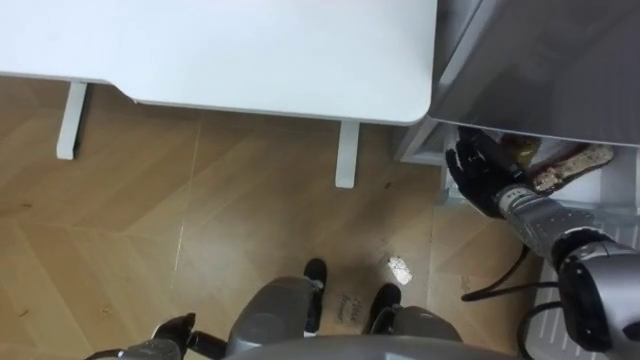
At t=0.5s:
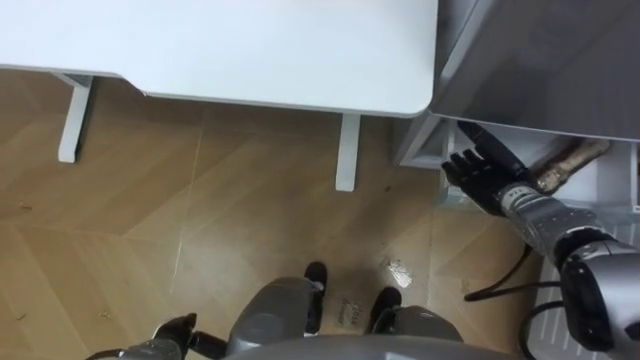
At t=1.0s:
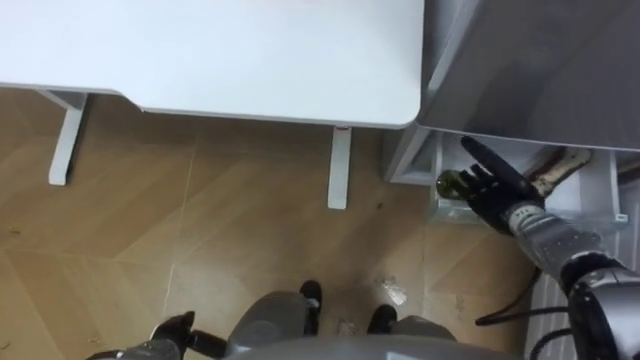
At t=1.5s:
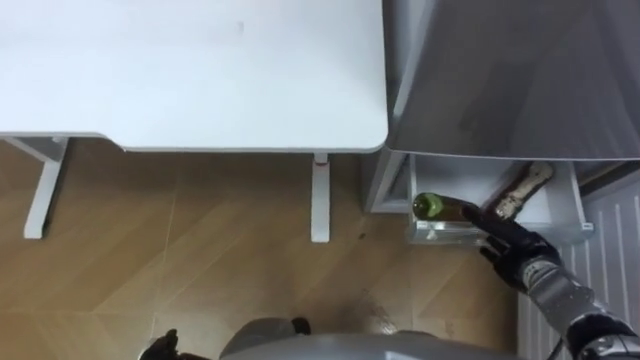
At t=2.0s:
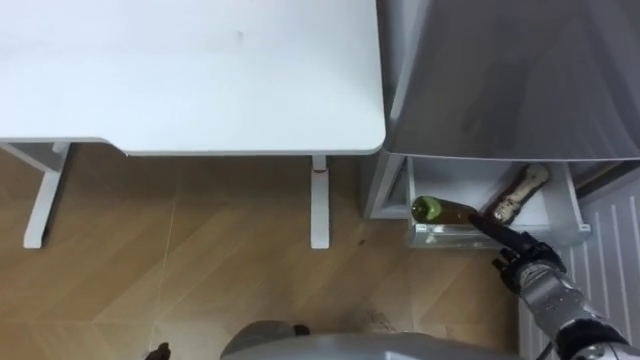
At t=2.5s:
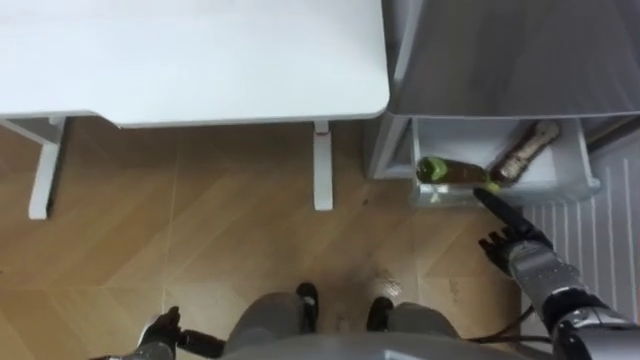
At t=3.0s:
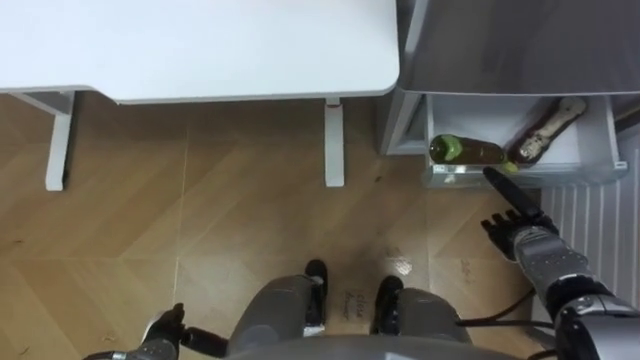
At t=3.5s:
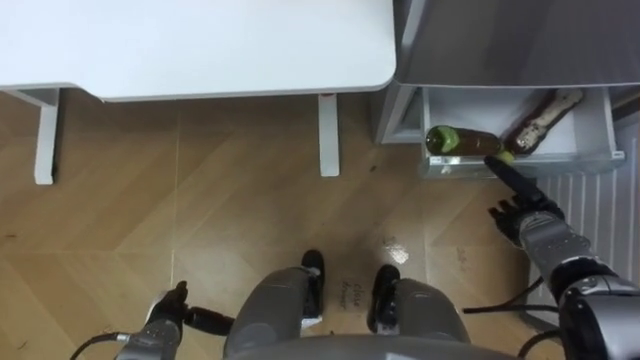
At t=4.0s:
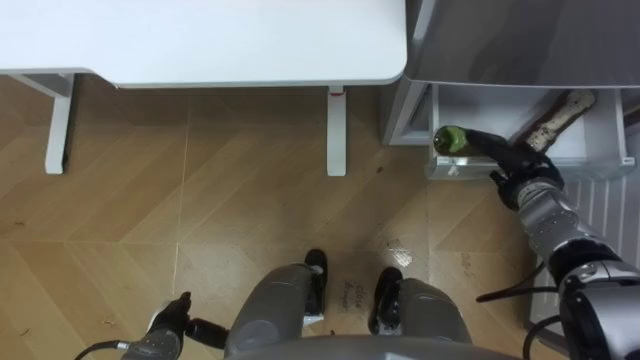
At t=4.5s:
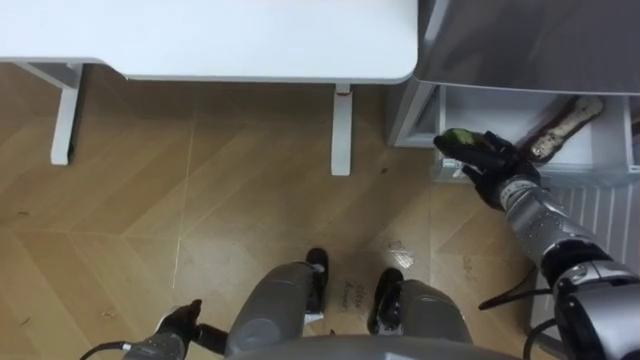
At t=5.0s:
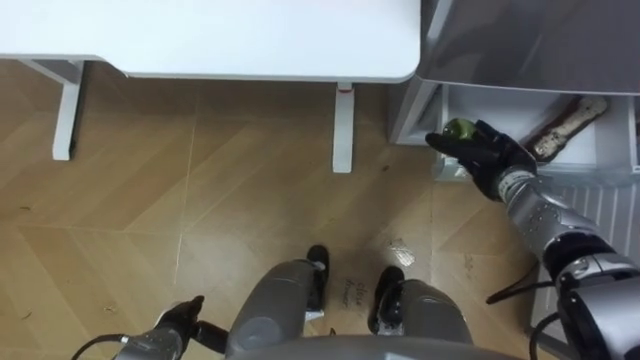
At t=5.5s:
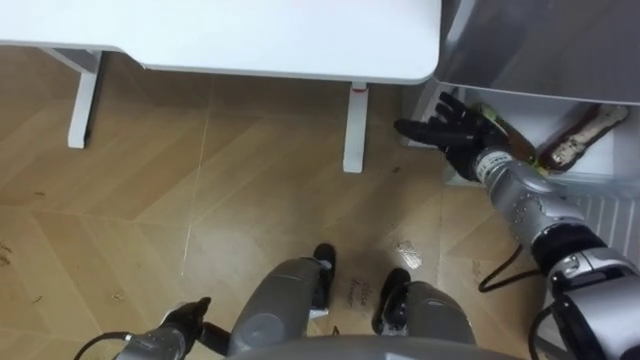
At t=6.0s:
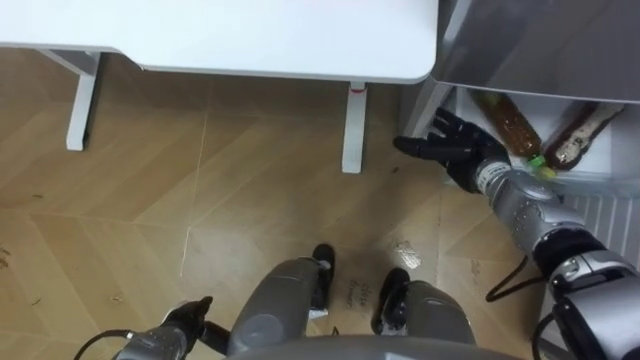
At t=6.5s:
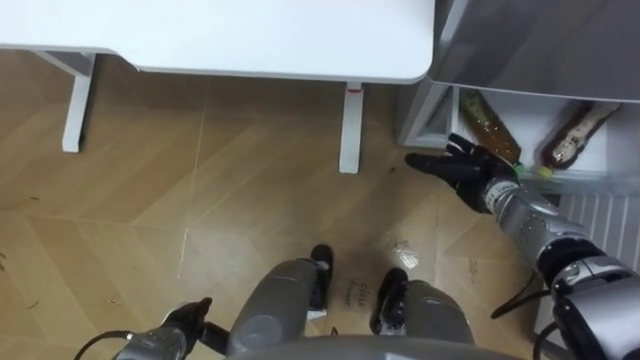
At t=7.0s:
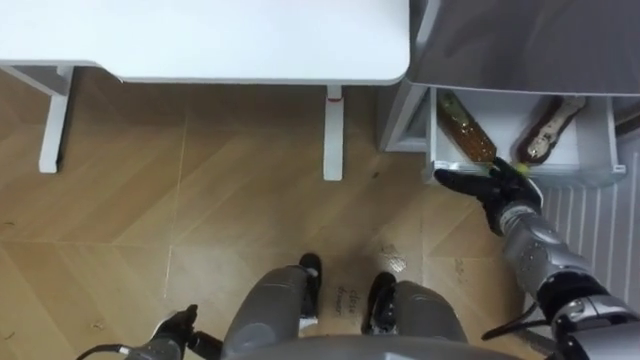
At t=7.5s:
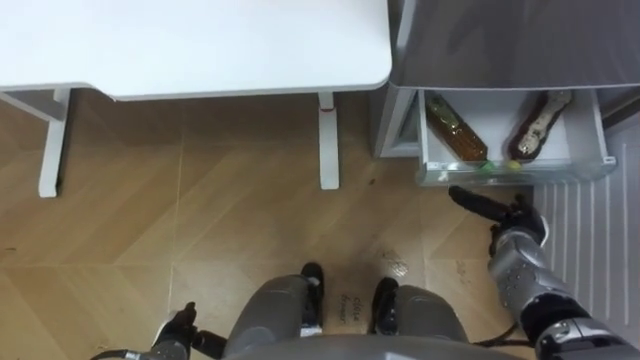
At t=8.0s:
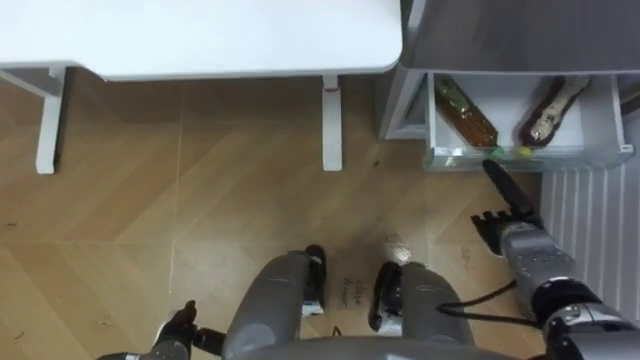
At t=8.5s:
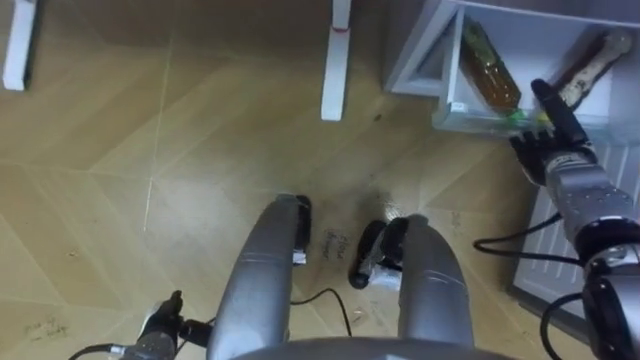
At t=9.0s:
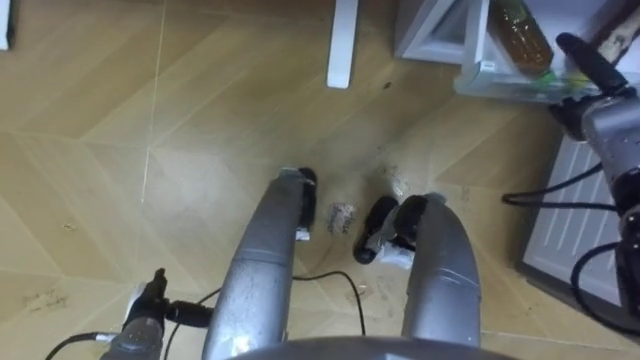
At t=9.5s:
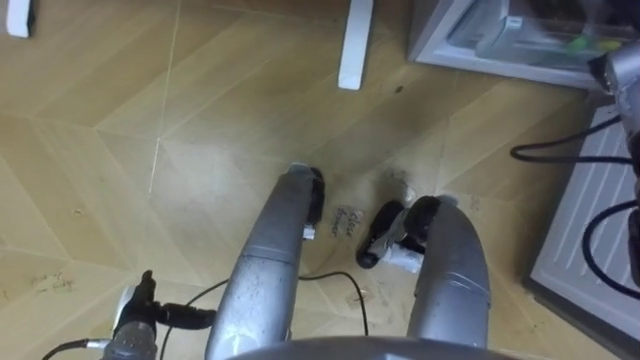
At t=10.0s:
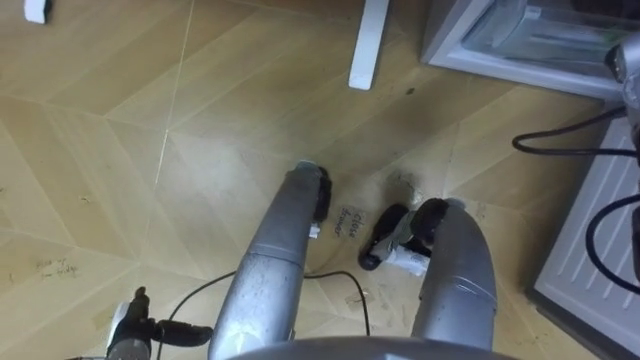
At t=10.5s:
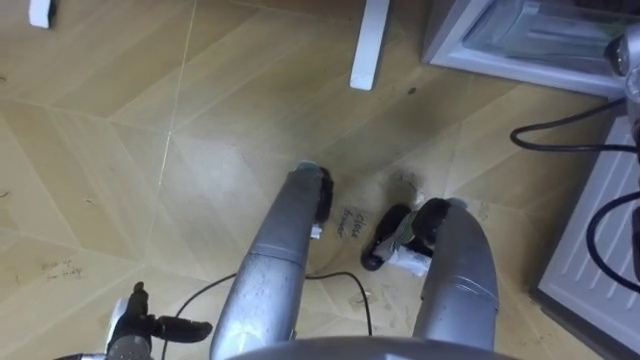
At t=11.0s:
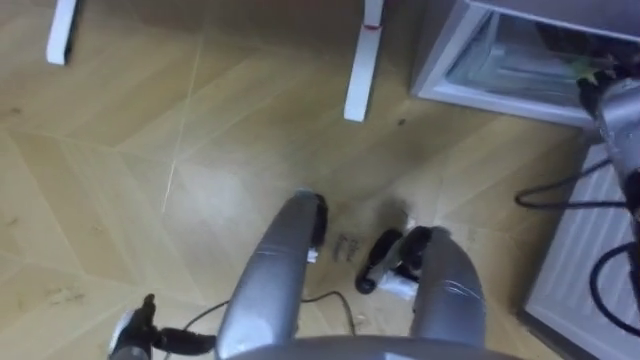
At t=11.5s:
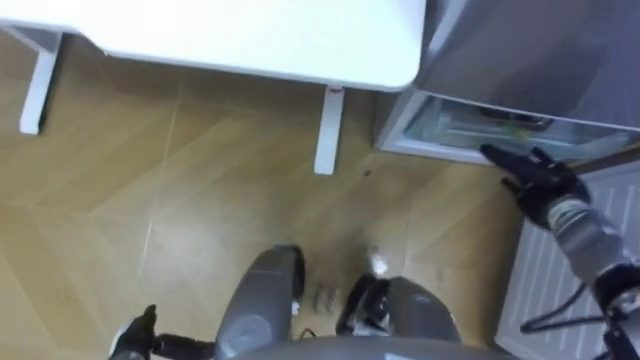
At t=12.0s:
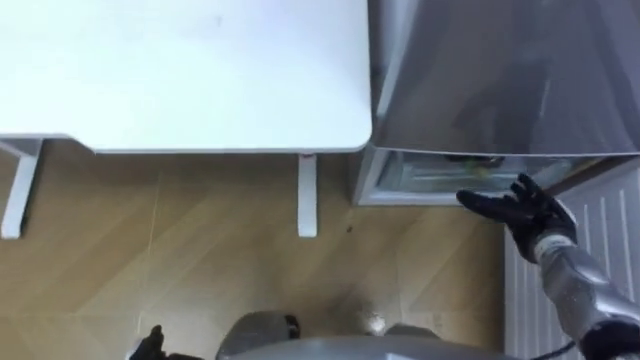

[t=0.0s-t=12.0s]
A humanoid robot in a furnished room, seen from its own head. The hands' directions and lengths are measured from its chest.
Task of the whole recording: Place the drink on the table on the bottom shelf of the refrigerator, then close the drawer and the refrigerator door.
t=0.0s to t=2.0s: The right hand moves backward and to the right, some 15 cm, and opens its fingers.
t=2.0s to t=4.0s: The right hand shifts approximately 15 cm forward and upward.
t=4.0s to t=6.0s: The right hand heads to the left, covering roughly 10 cm.
t=6.0s to t=8.0s: The right hand is displaced backward, downward and to the right by roughly 15 cm.
t=8.0s to t=10.0s: The left hand moves to the left, about 5 cm; the right hand goes about 30 cm upward, forward and to the right.
t=10.0s to t=12.0s: The right hand is displaced downward and backward by roughly 25 cm.

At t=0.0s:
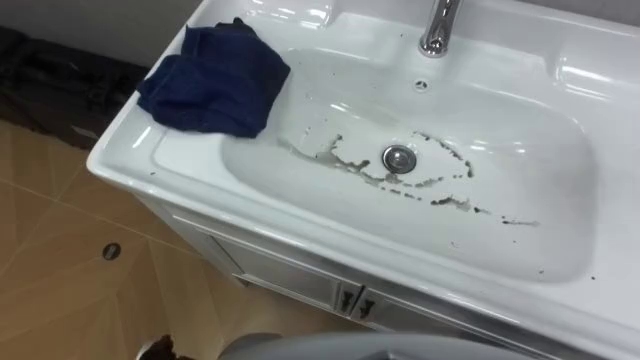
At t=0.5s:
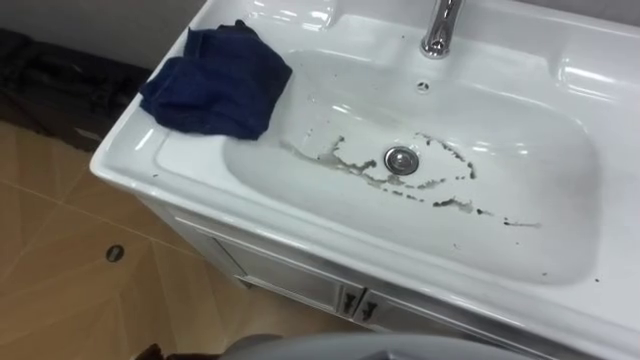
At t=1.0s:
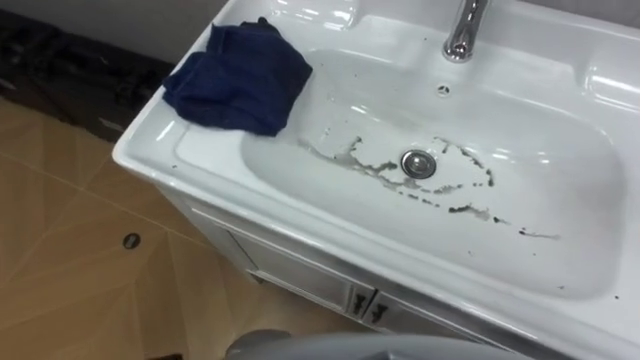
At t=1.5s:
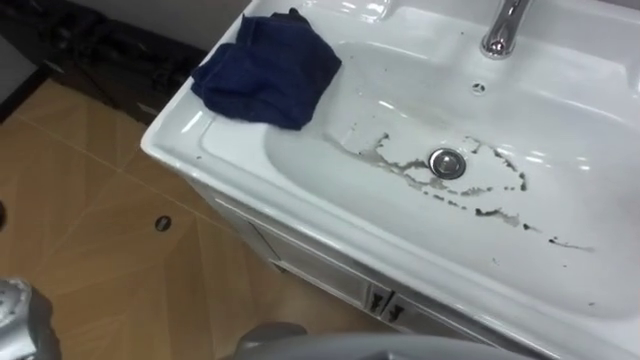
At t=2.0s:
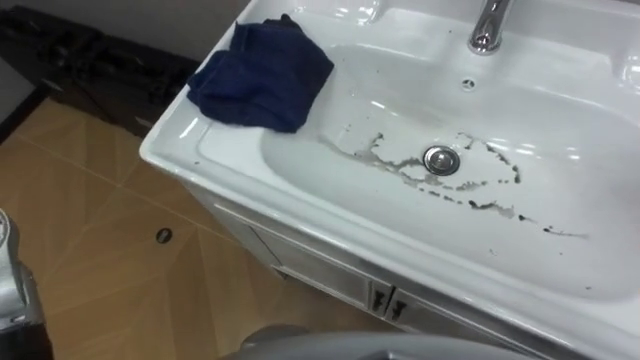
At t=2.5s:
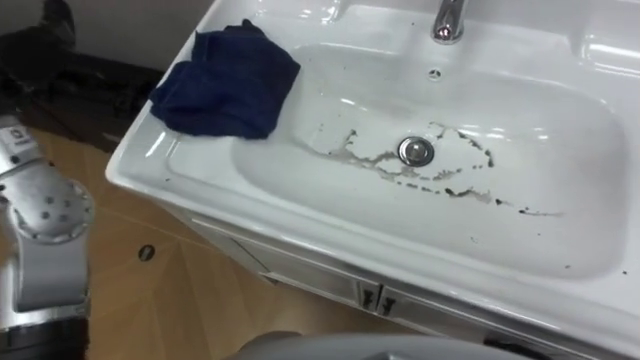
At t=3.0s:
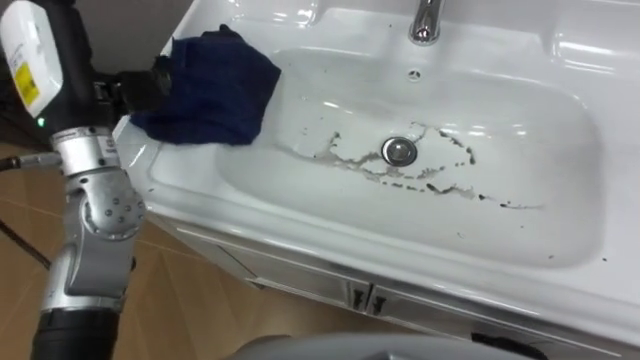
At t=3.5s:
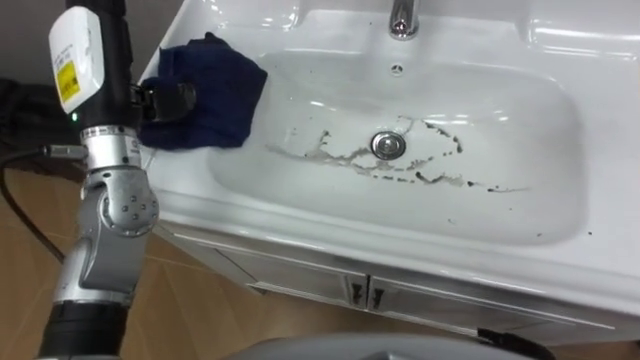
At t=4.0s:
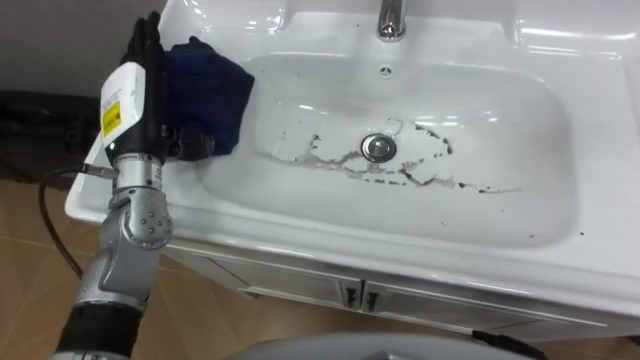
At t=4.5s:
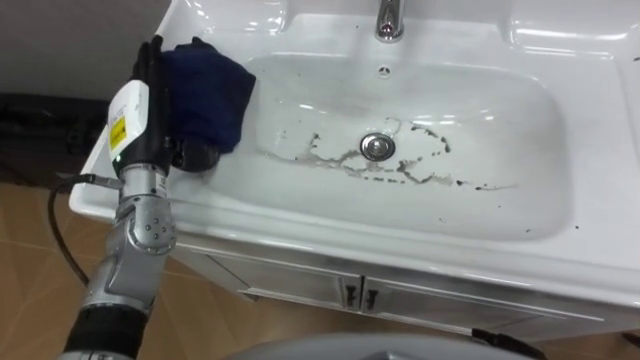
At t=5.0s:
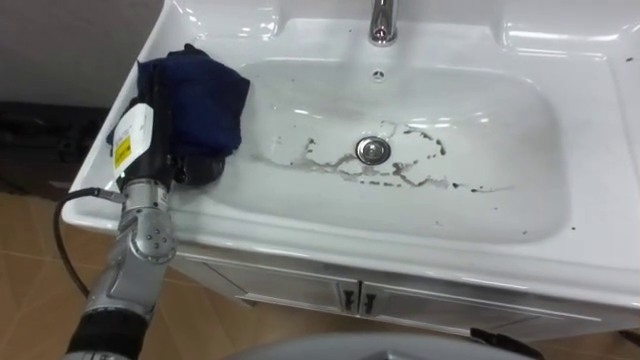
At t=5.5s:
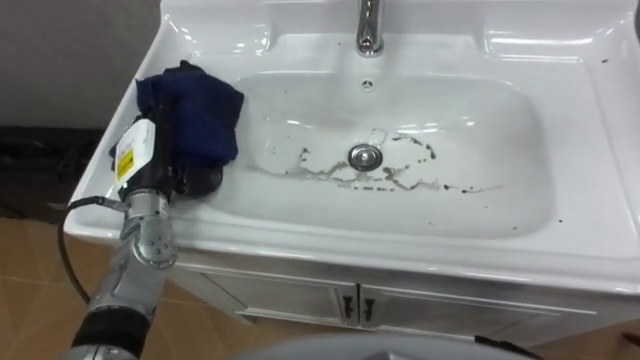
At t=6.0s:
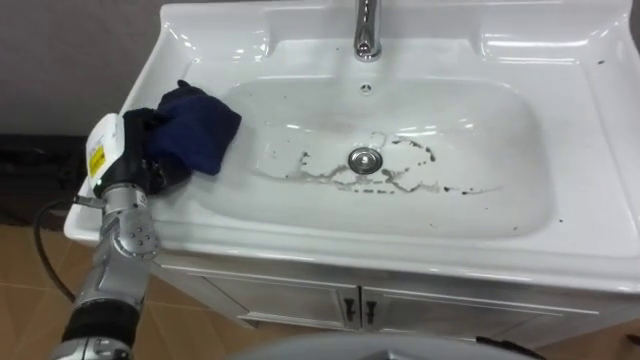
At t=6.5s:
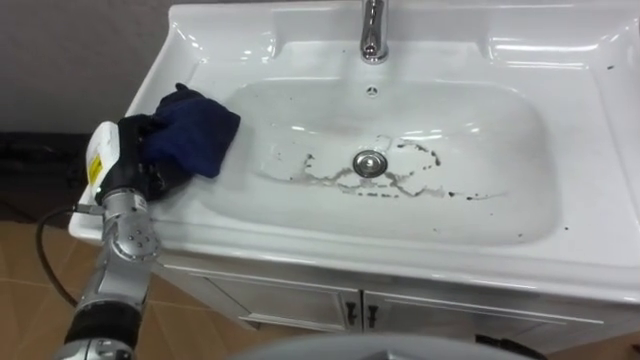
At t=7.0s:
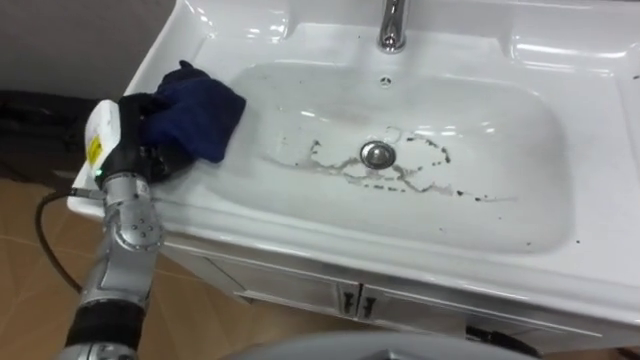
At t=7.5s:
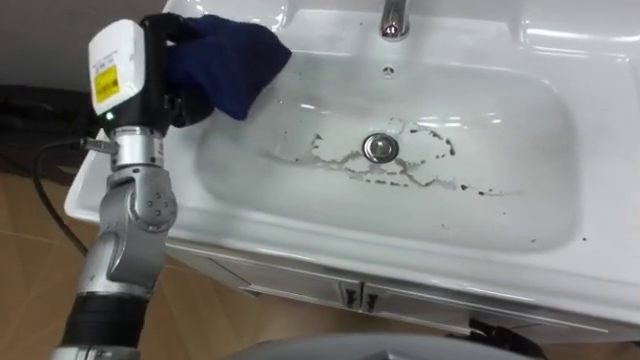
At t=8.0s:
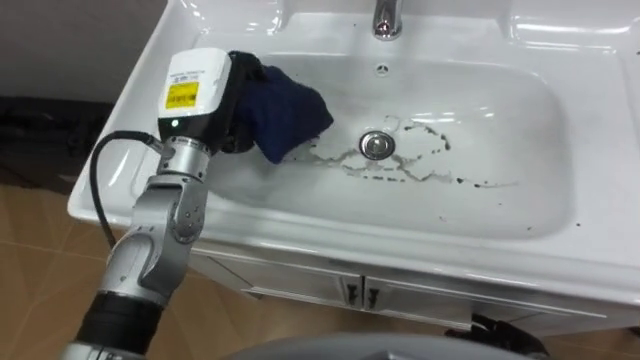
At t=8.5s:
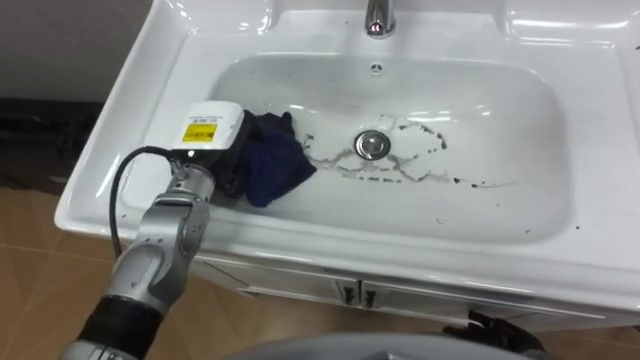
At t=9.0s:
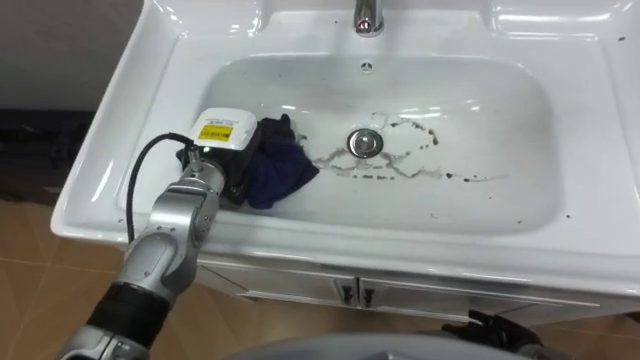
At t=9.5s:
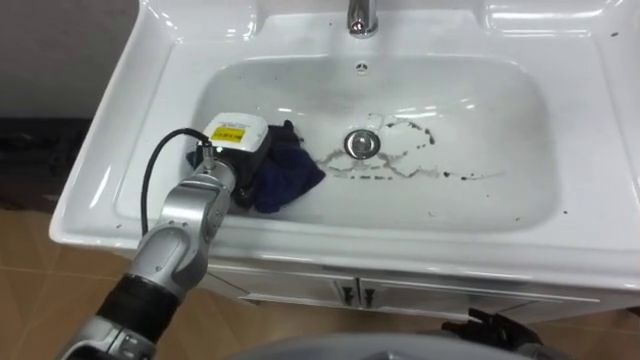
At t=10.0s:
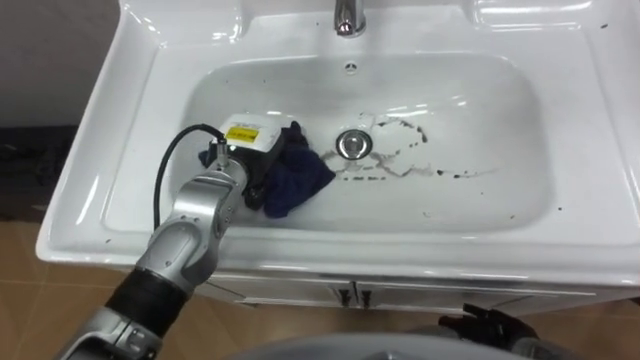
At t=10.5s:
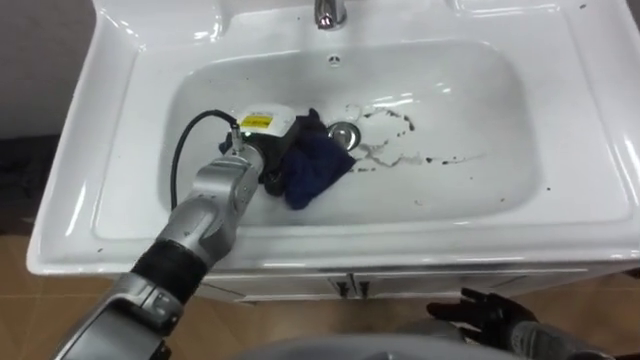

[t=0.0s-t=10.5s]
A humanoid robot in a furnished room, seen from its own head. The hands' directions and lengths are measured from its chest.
Task of the whole recording: Use the cloth on the right to wipe away the black stain in the sink.
t=4.0s to t=6.5s: The left hand goes approximately 10 cm downward, and closes.
t=6.5s to t=8.5s: The left hand is displaced to the right by roughly 10 cm, and reaches about 15 cm upward, then returns.
t=8.5s to t=10.5s: The left hand is displaced to the right by approximately 5 cm.
